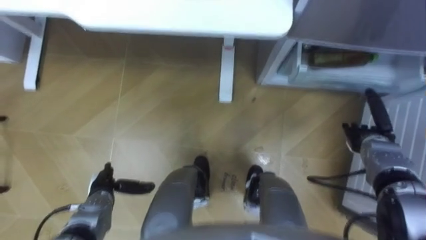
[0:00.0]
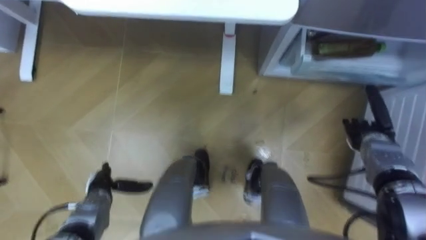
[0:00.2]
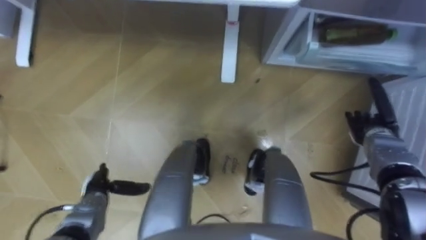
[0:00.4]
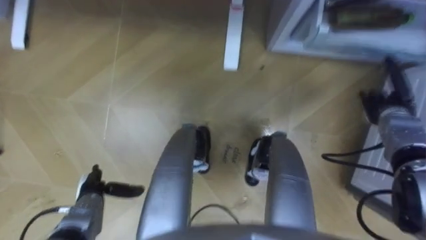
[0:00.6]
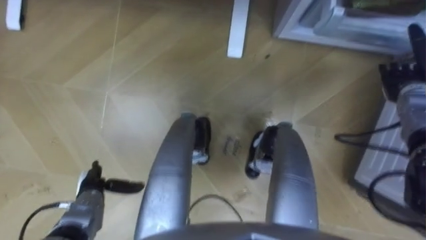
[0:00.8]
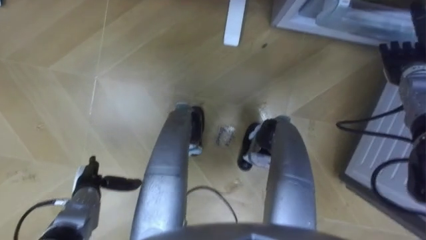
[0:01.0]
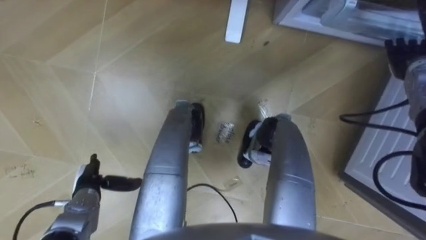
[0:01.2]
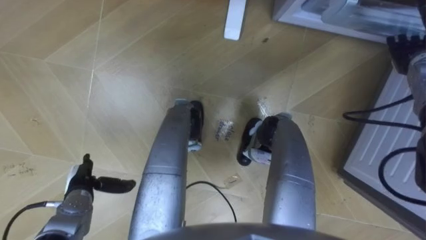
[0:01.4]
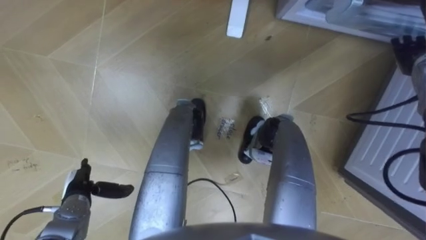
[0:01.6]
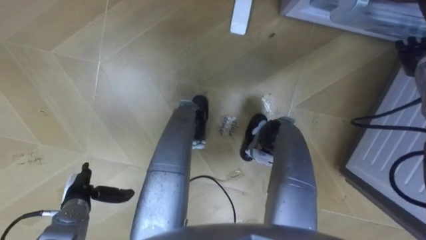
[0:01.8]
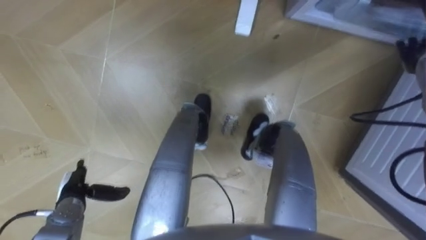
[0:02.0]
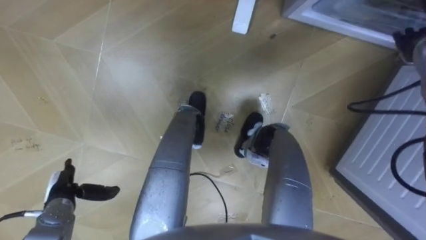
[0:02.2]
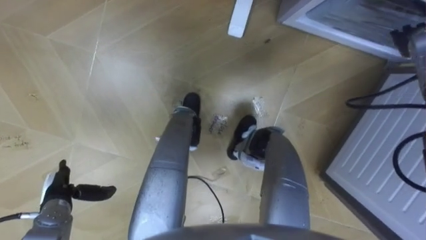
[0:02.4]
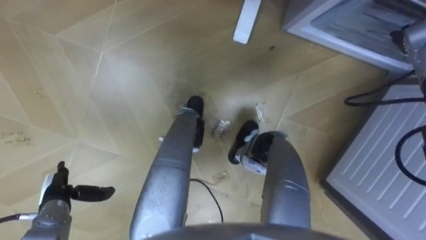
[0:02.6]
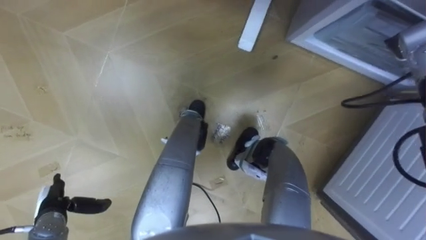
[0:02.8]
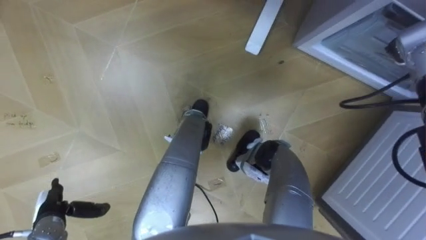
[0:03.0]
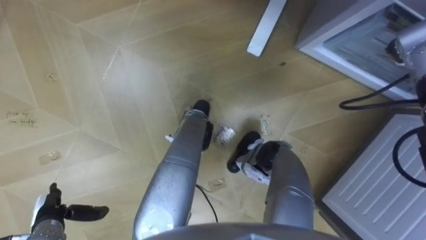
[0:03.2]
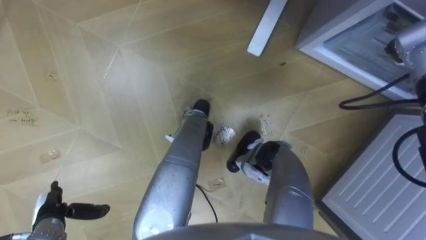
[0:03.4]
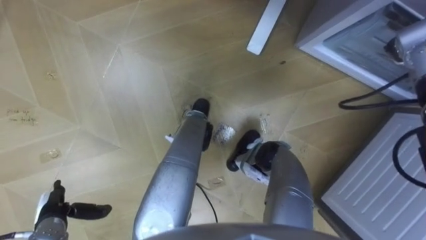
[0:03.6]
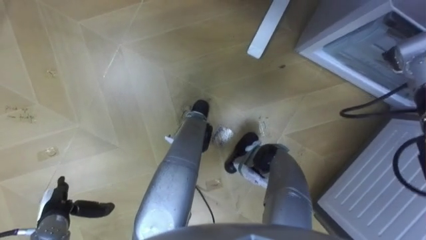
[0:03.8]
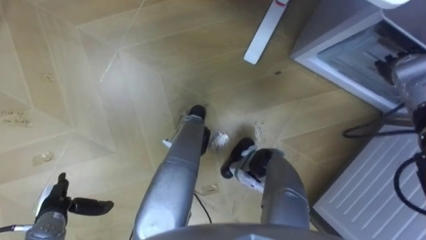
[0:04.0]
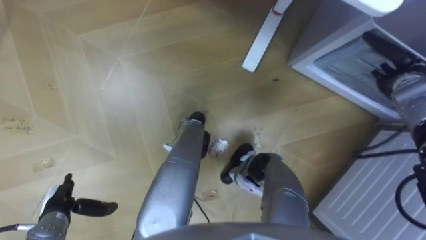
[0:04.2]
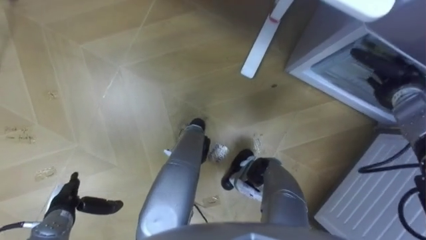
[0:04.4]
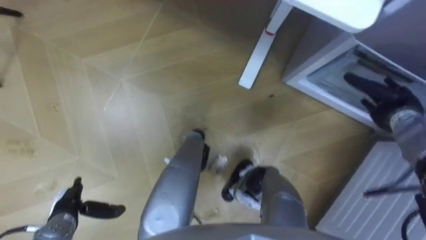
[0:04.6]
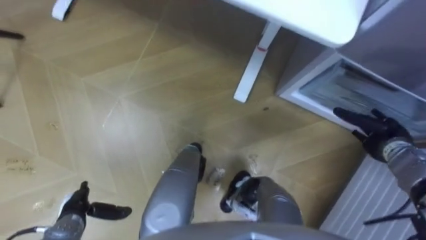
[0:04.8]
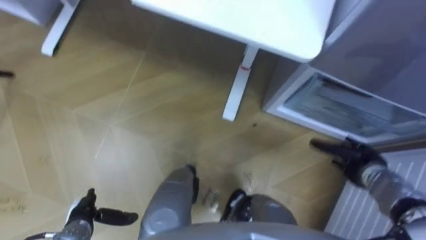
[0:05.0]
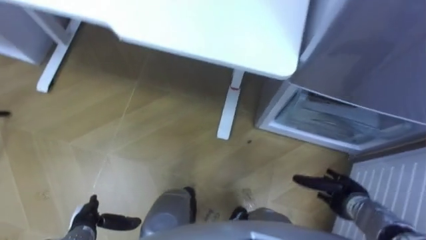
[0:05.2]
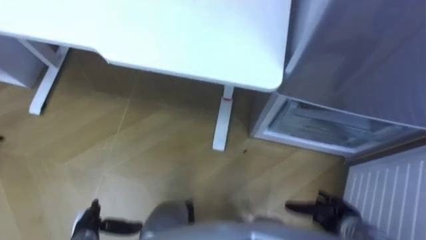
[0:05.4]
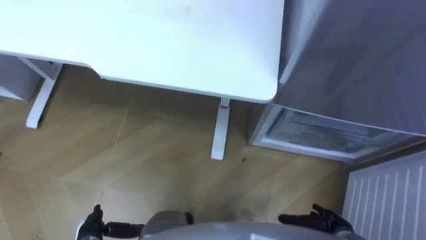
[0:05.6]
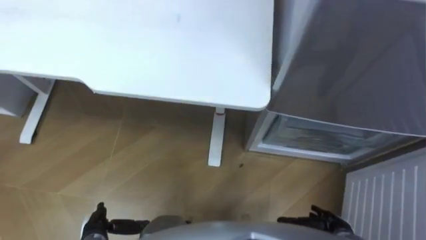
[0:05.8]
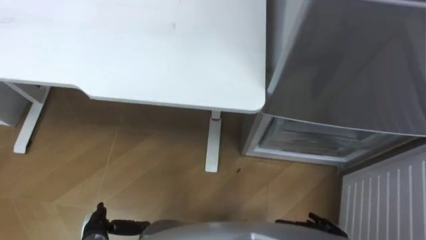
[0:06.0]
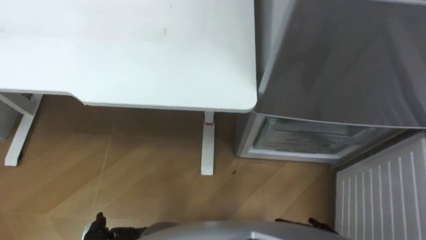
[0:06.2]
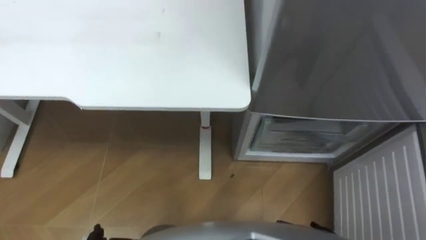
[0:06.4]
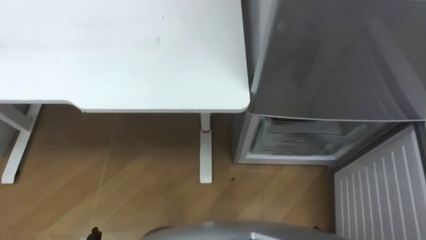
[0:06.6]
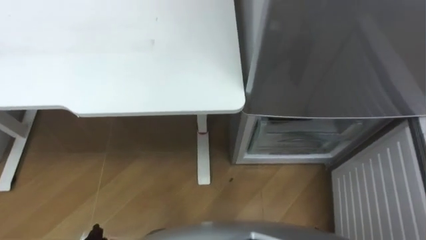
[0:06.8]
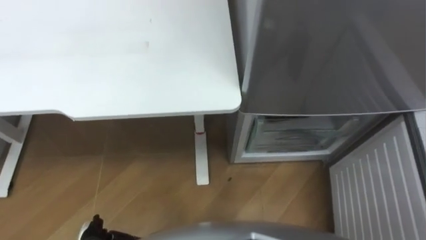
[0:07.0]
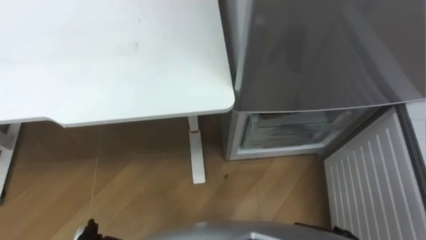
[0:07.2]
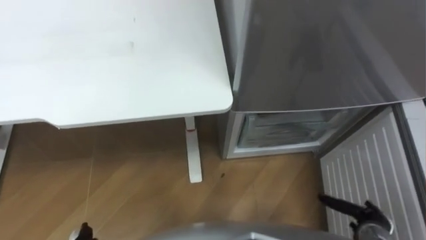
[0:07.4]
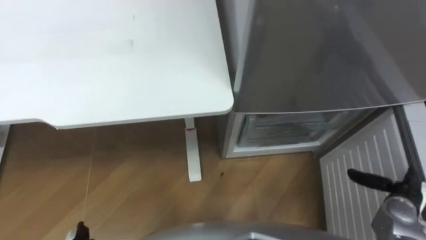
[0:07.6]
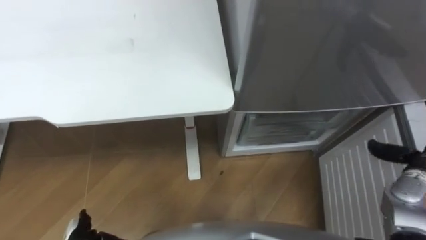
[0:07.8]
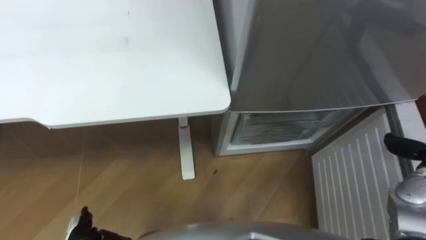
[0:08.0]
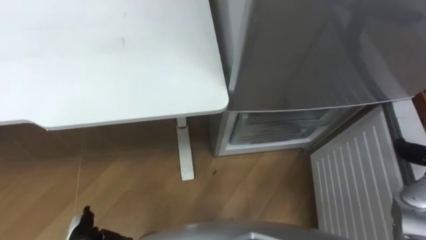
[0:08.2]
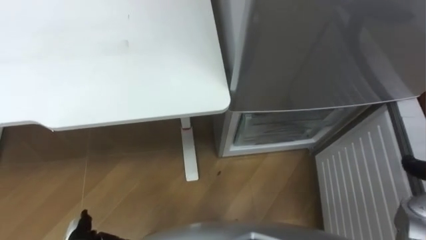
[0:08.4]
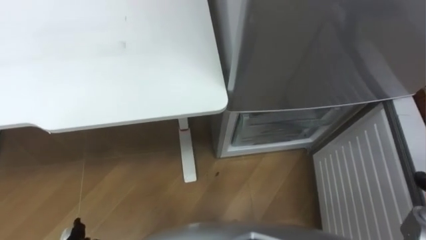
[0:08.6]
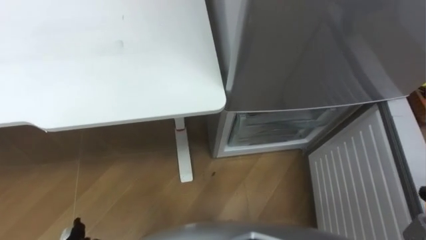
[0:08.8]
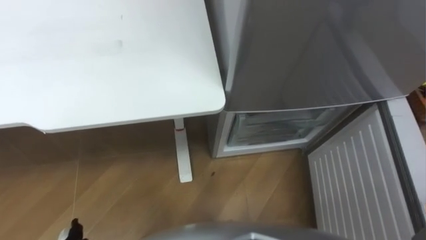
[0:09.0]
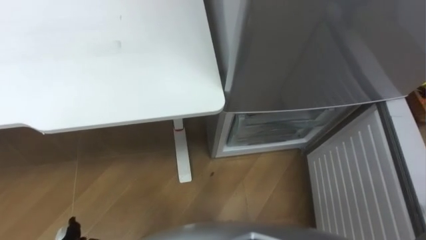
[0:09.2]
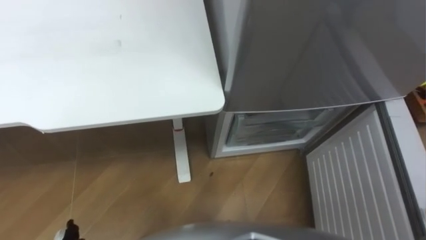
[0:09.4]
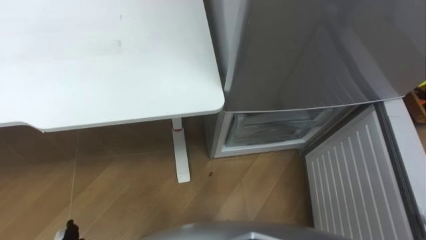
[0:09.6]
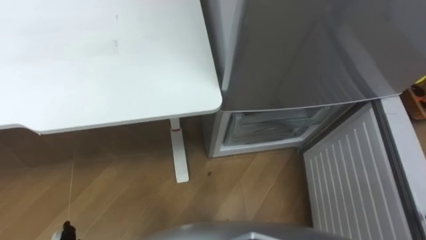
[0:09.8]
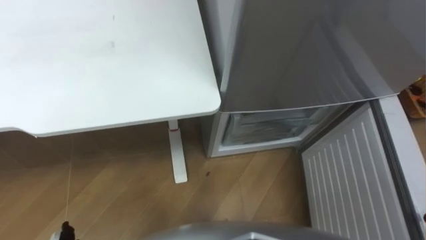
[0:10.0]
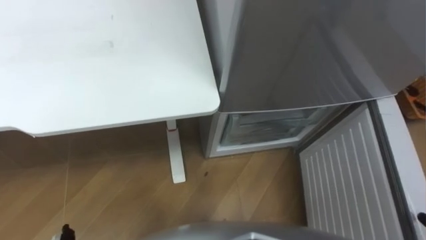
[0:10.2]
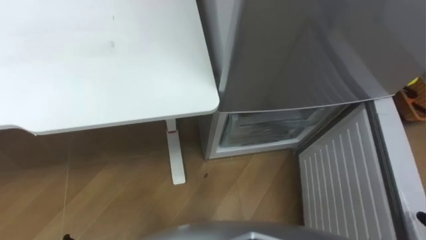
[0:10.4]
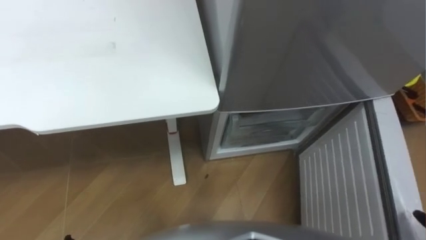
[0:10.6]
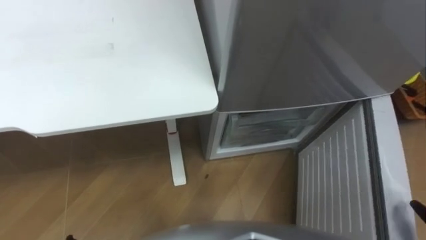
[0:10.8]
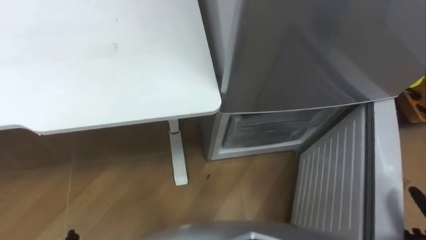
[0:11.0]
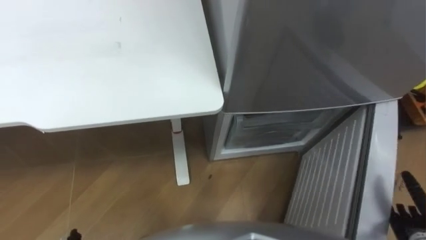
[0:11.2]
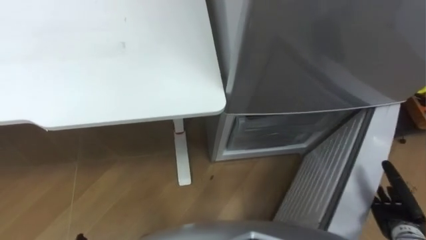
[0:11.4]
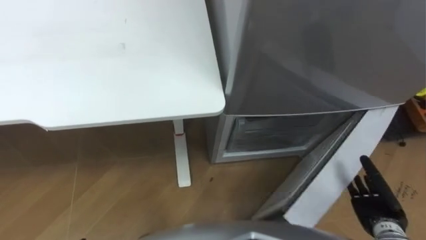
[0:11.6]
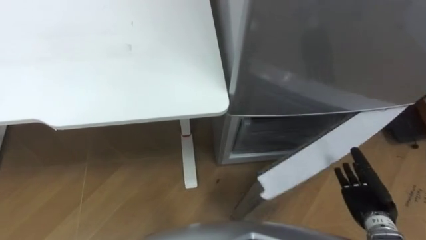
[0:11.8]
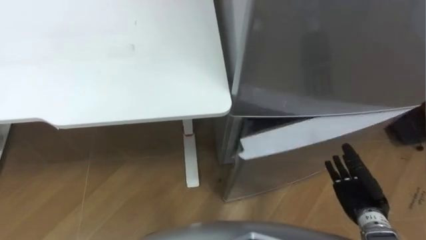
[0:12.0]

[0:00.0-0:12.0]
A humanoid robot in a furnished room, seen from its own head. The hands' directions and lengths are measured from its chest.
Task of the whole recording: Place the drink on the table on the bottom shelf of the refrigerator, then close the drawer and the refrigerator door.
0:00.0 to 0:01.6: The right hand is displaced upward and forward by about 20 cm, while the left hand moves roughly 5 cm.
0:01.6 to 0:03.0: The left hand changes place by some 5 cm.
0:03.0 to 0:04.4: The right hand travels downward and backward by about 10 cm.
0:04.4 to 0:06.0: The left hand moves to the right, roughly 5 cm.

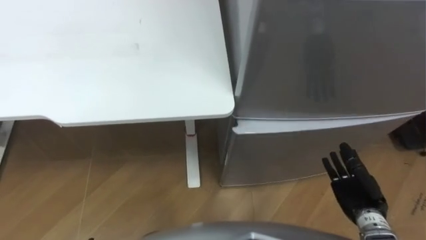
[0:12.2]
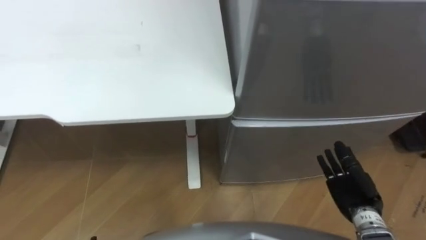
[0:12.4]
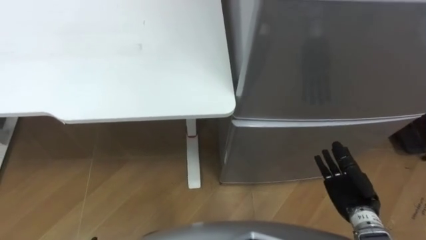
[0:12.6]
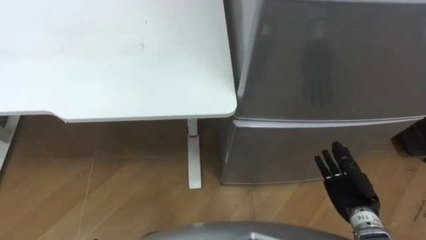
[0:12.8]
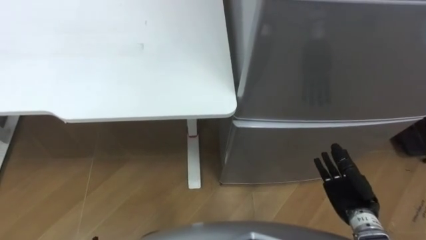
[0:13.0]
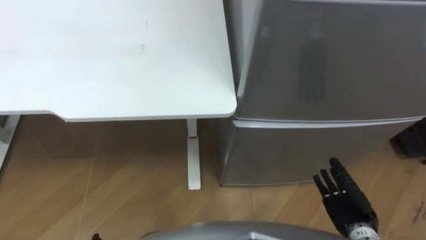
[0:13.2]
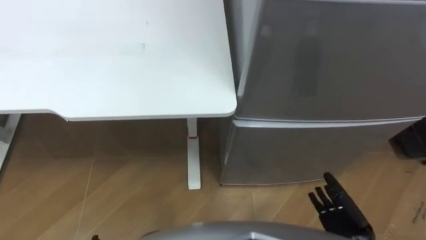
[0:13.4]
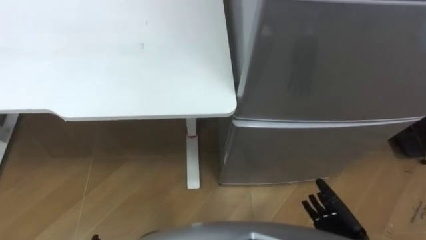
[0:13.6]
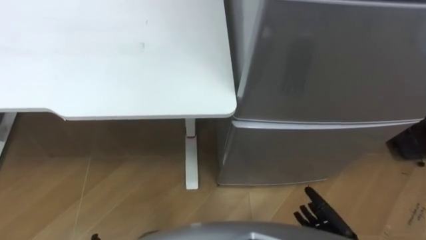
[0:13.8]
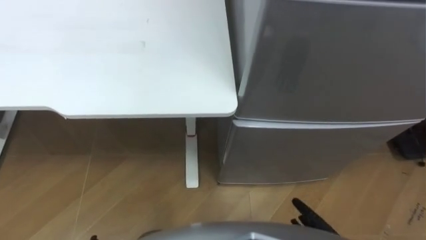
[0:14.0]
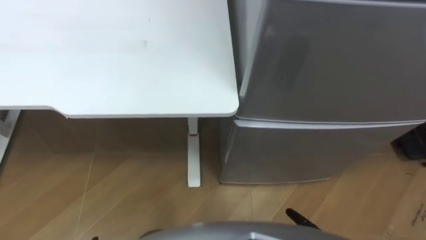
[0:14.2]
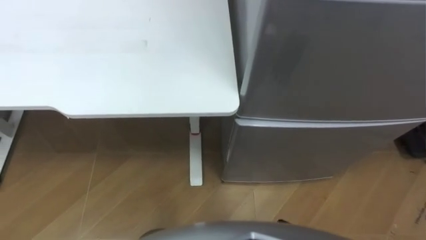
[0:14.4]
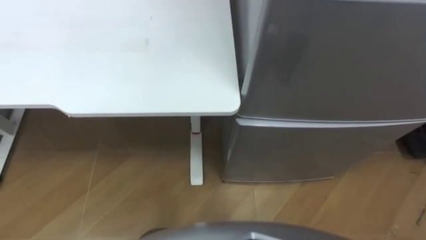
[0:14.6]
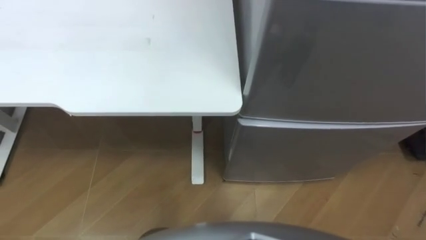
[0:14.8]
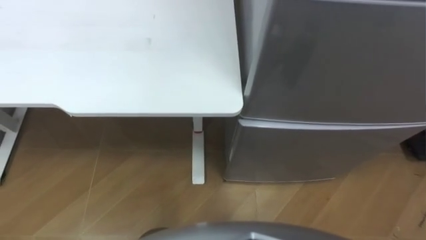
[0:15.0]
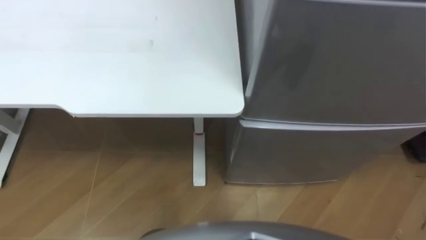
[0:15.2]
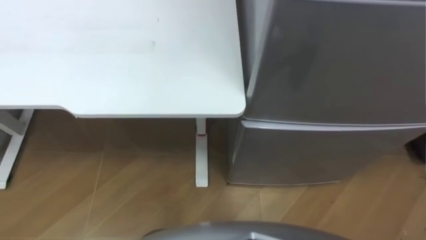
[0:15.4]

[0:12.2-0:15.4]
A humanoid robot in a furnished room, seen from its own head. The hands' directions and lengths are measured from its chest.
Task of the whole recording: Place the drink on the table on the bottom shelf of the refrigerator, then close the drawer and the refrigerator door.
0:12.2 to 0:13.8: The right hand shifts roughly 10 cm backward and downward.

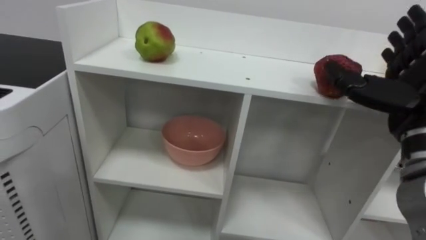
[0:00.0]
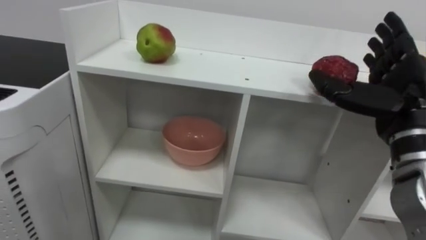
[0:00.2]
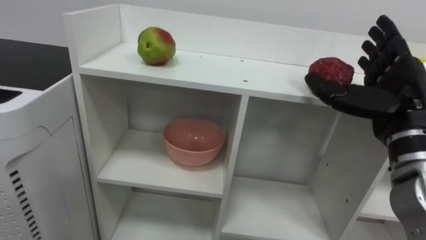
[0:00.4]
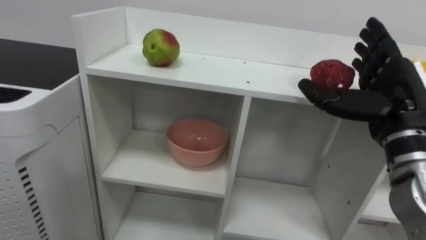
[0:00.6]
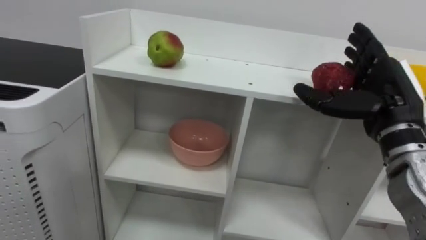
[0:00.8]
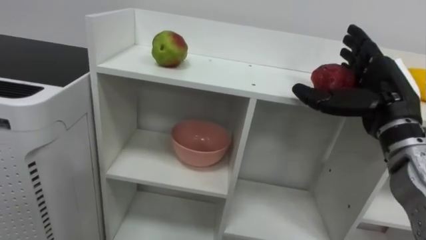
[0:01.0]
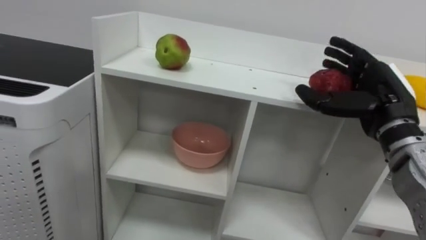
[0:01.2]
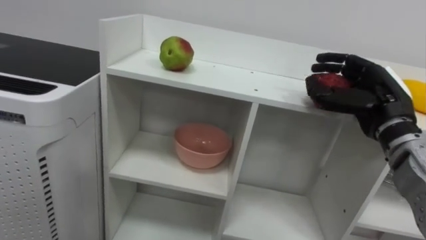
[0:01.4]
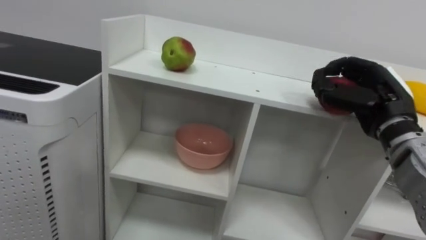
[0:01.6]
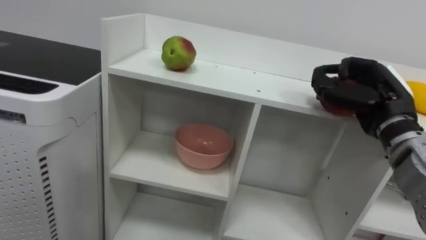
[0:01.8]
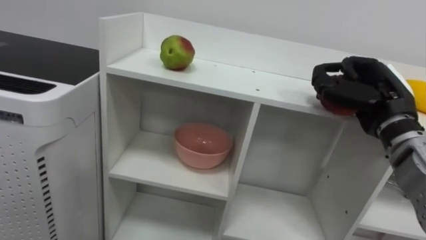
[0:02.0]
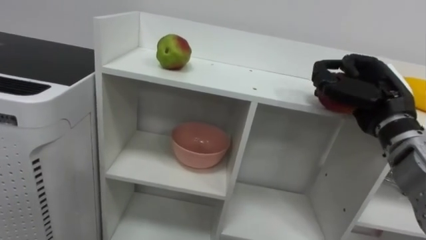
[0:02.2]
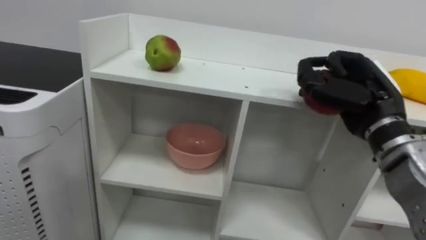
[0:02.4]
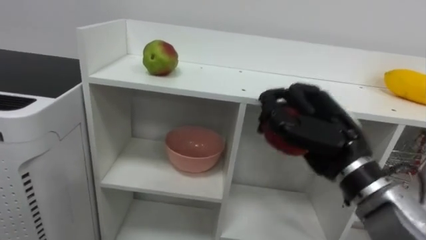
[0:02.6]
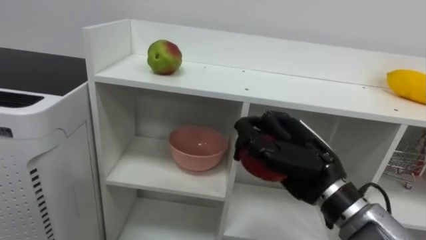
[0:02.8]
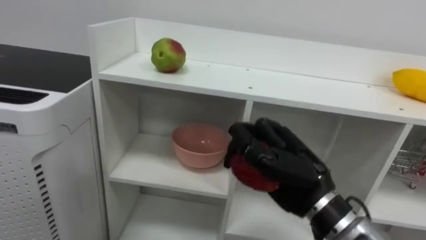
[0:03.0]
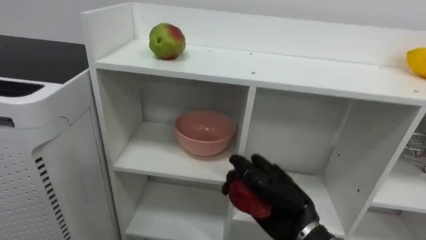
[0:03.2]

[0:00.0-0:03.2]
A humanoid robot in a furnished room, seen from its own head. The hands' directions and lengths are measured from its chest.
Task of the whole recording: Put the apple in the cell in the second column from the left and the second row from the top.
0:00.0 to 0:01.6: The right hand heads forward, covering about 5 cm, and closes.
0:01.6 to 0:03.2: The right hand is displaced to the left, downward and backward by roughly 20 cm.
